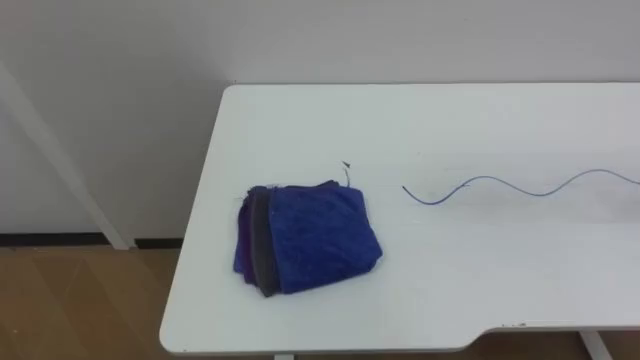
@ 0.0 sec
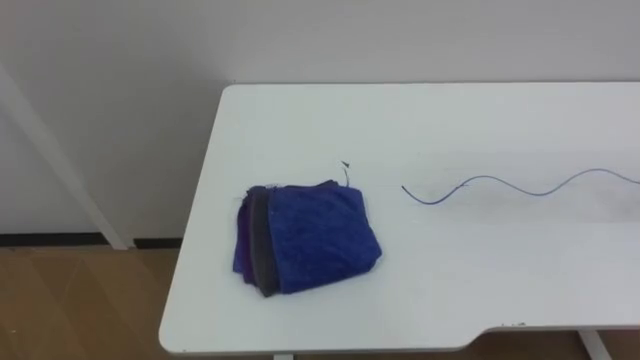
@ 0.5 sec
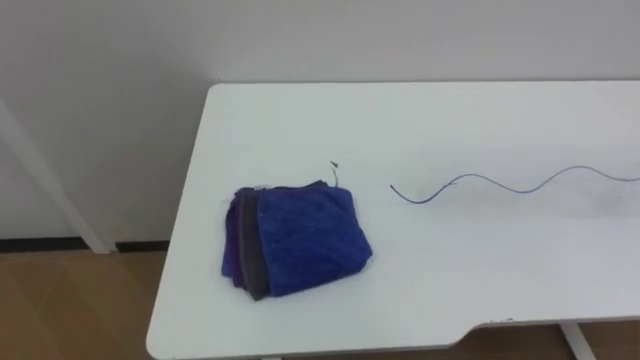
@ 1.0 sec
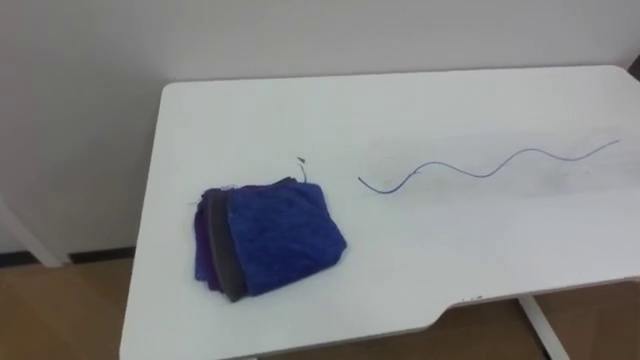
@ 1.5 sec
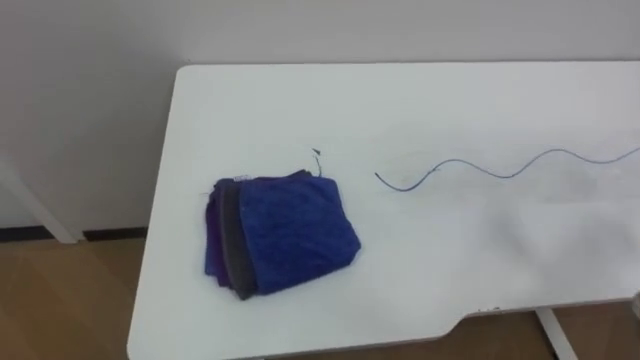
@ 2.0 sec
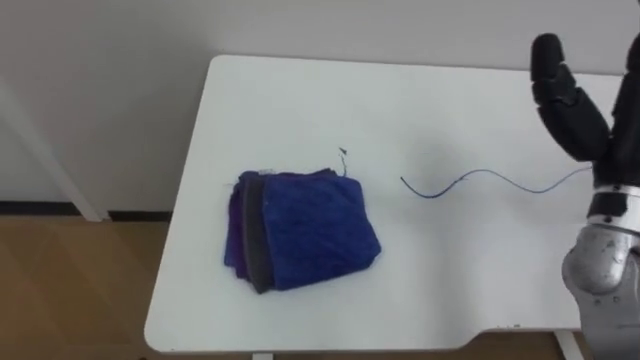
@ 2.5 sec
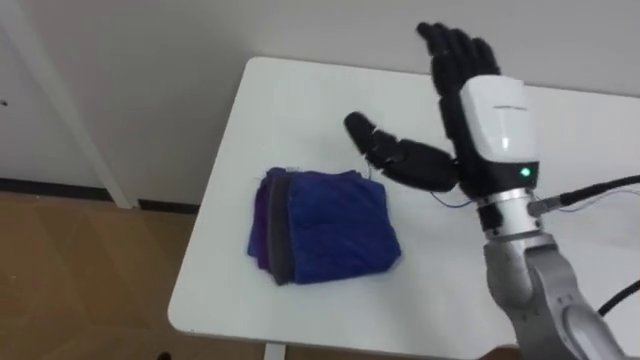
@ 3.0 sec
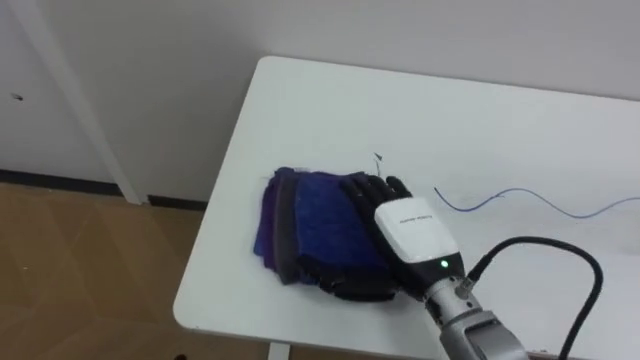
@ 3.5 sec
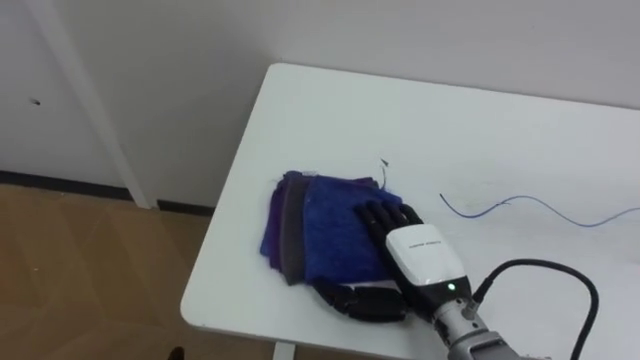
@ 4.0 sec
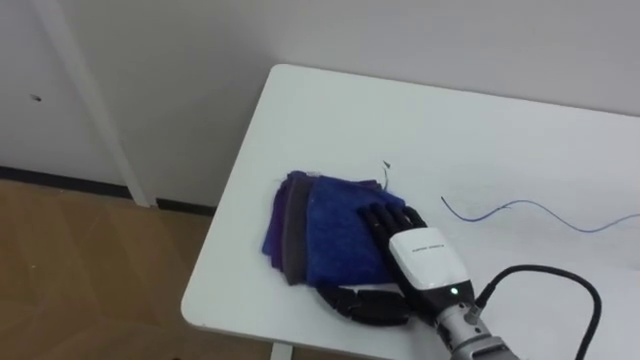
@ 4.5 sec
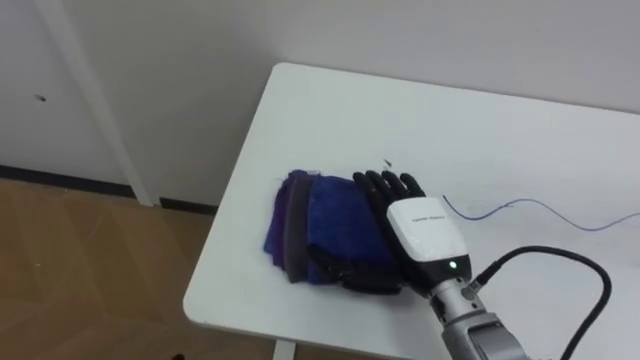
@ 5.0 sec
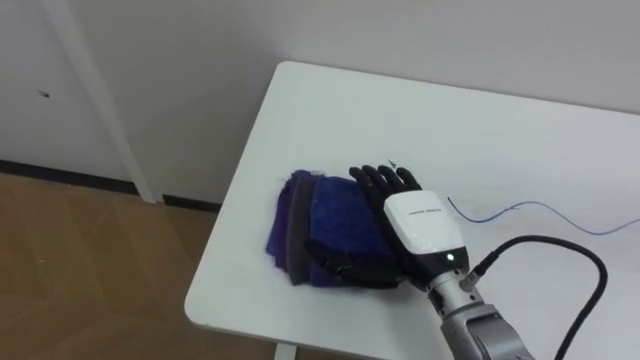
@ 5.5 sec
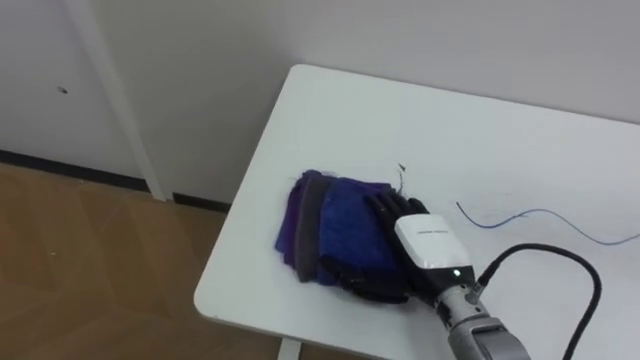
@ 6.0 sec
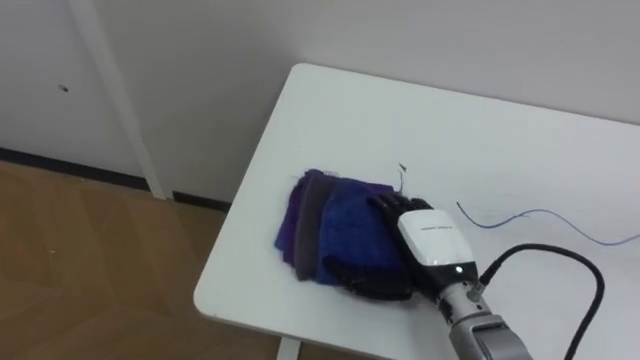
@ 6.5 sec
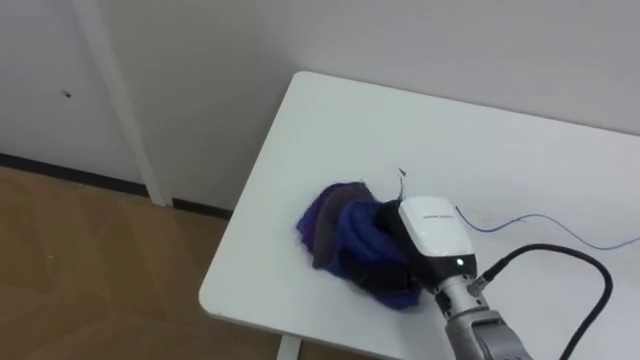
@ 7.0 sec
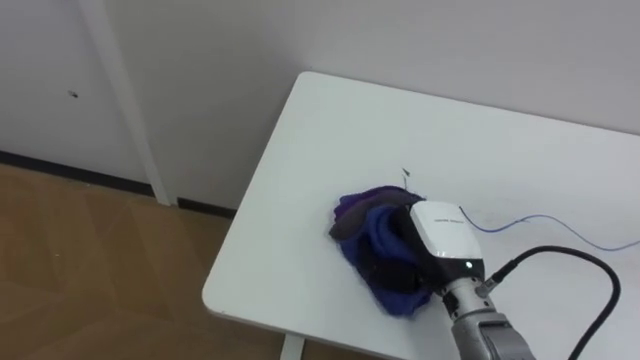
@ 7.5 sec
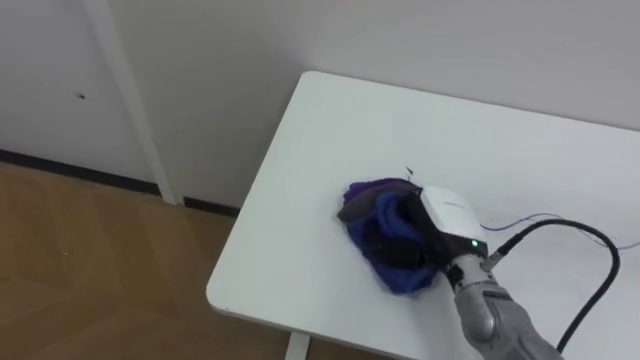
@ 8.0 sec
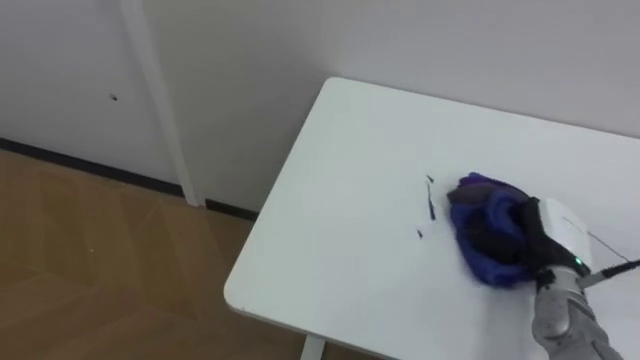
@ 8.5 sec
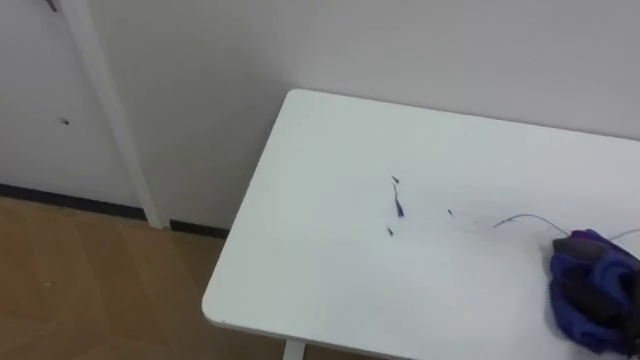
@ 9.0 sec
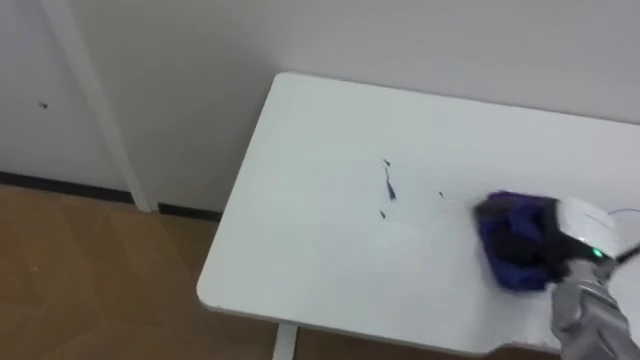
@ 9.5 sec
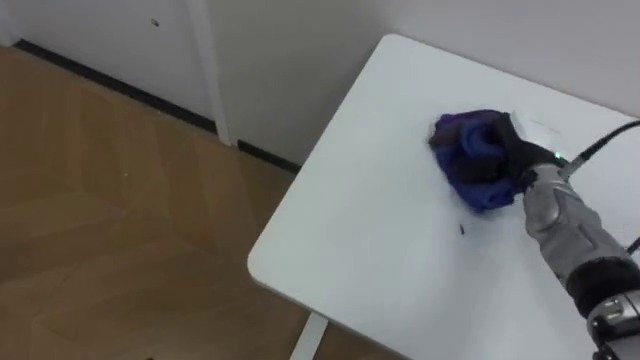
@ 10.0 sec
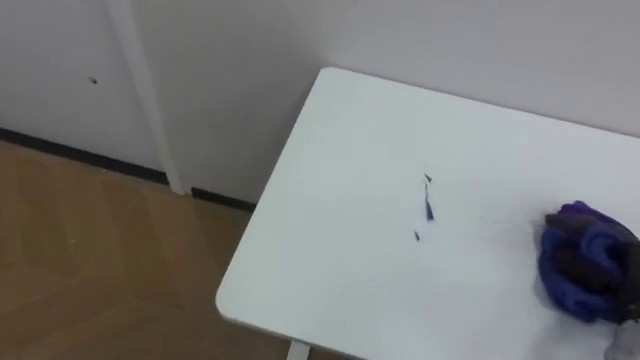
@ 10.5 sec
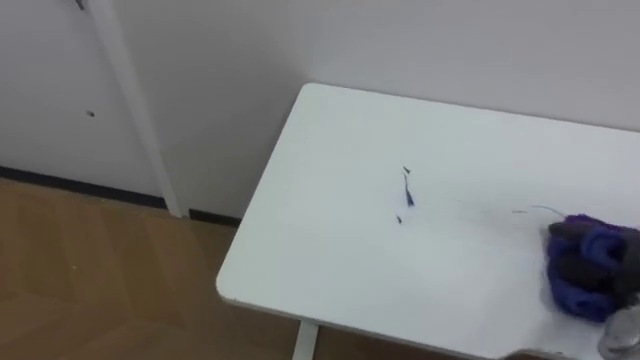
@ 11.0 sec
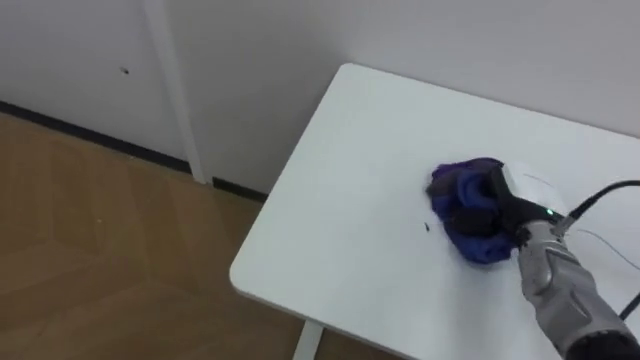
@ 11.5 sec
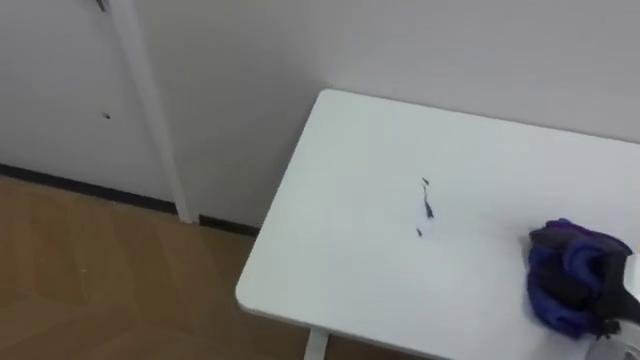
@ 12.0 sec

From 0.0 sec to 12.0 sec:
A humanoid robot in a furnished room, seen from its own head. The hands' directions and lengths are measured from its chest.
Task of the whole recording: Wipe the blue pen marks off the table with the rag.
From 6.0 sec to 8.0 sec: The right hand closes up.

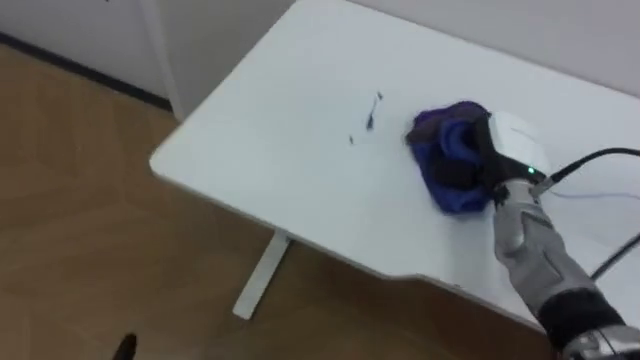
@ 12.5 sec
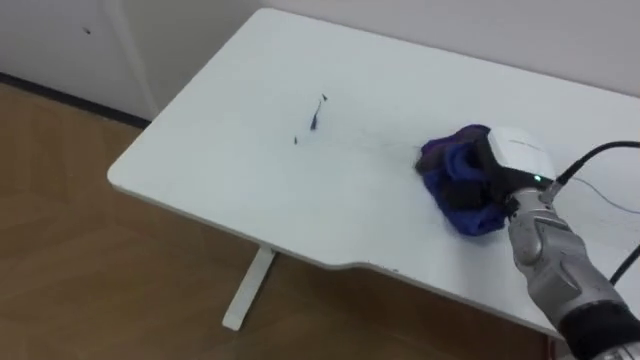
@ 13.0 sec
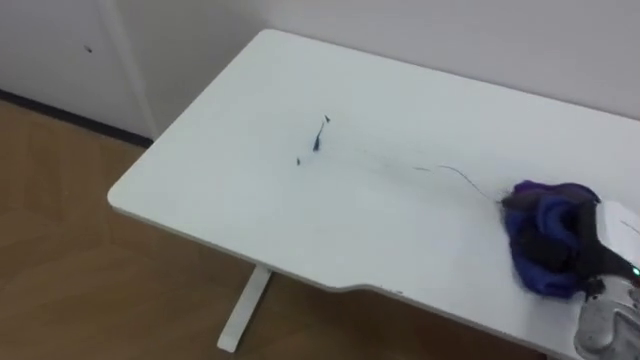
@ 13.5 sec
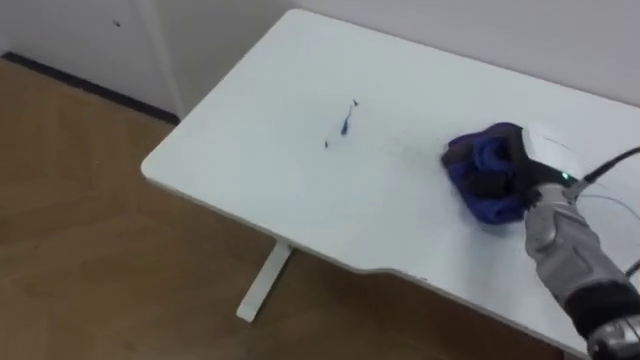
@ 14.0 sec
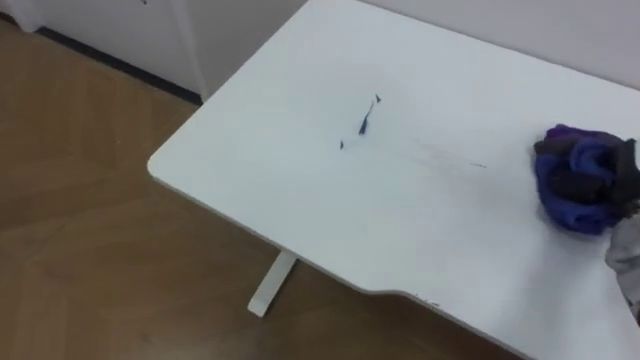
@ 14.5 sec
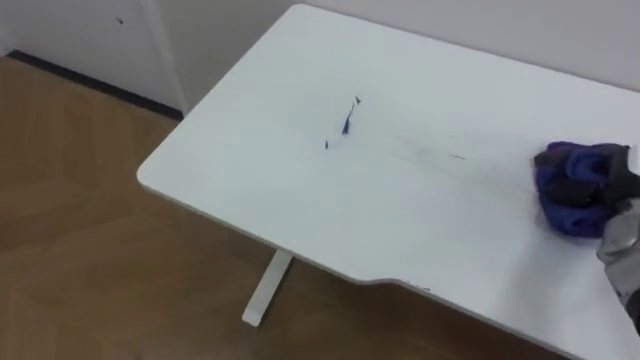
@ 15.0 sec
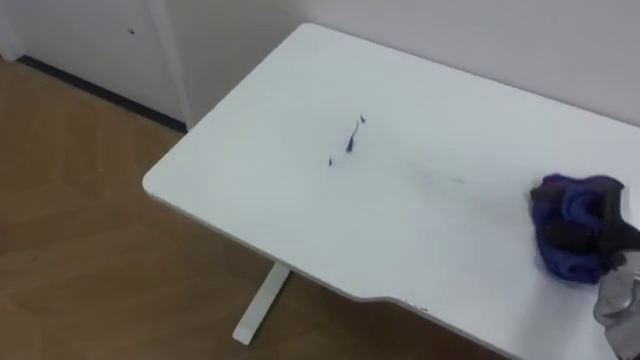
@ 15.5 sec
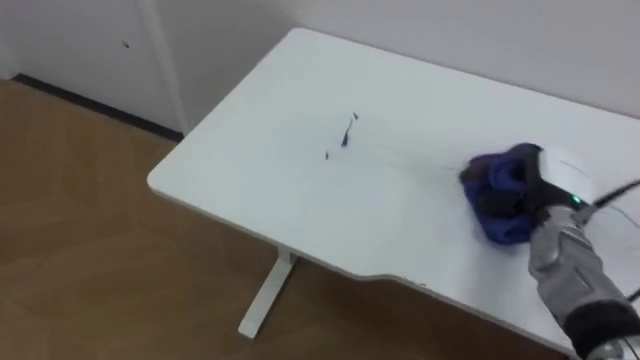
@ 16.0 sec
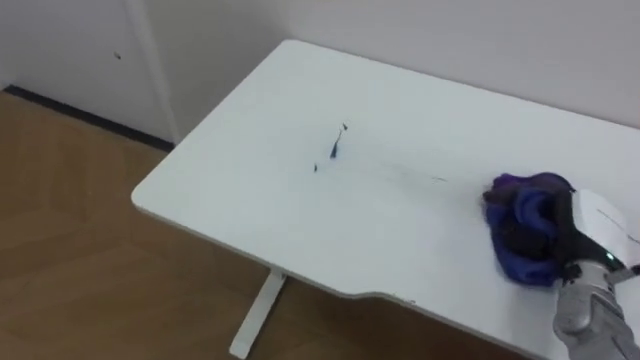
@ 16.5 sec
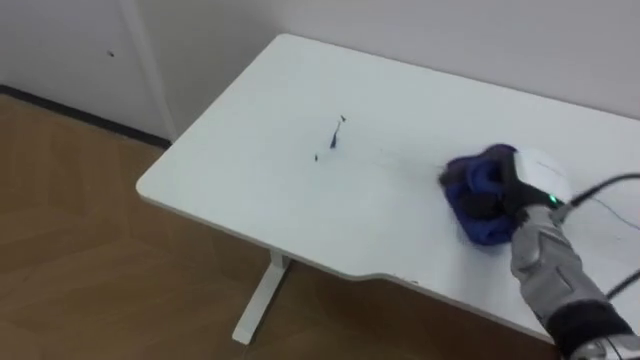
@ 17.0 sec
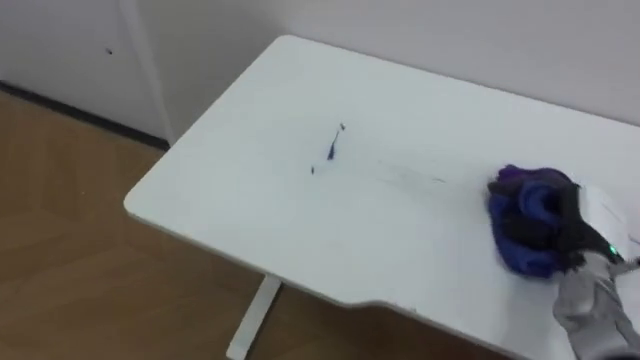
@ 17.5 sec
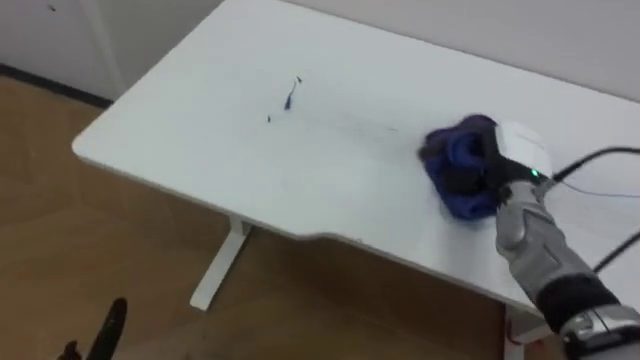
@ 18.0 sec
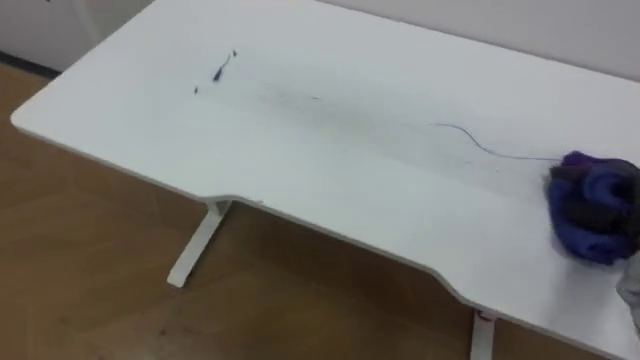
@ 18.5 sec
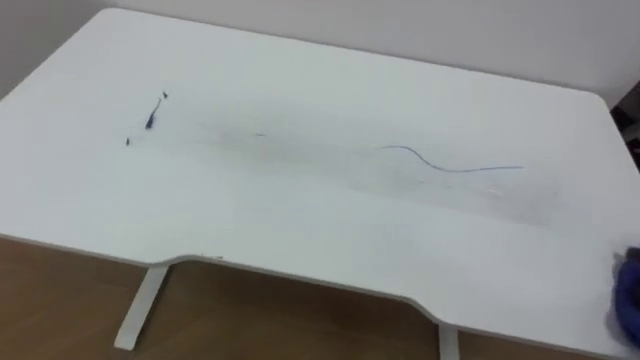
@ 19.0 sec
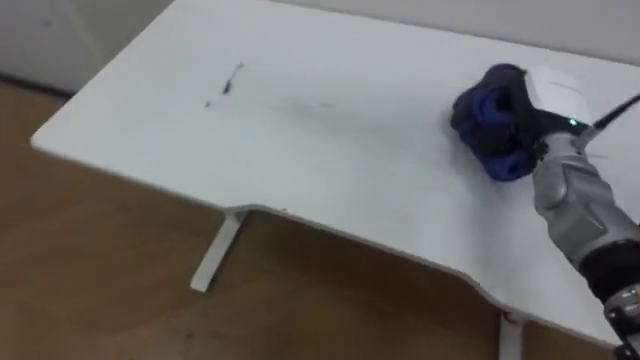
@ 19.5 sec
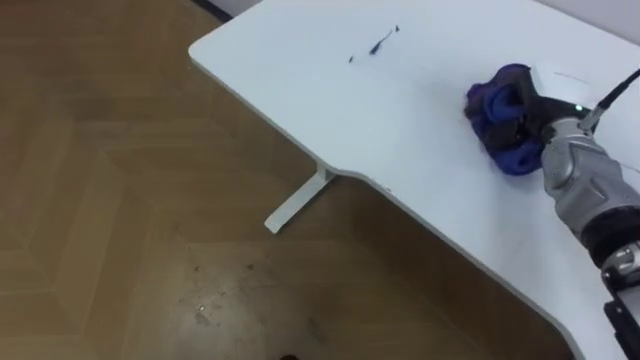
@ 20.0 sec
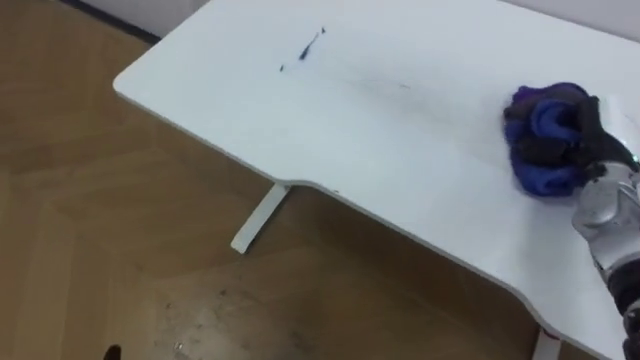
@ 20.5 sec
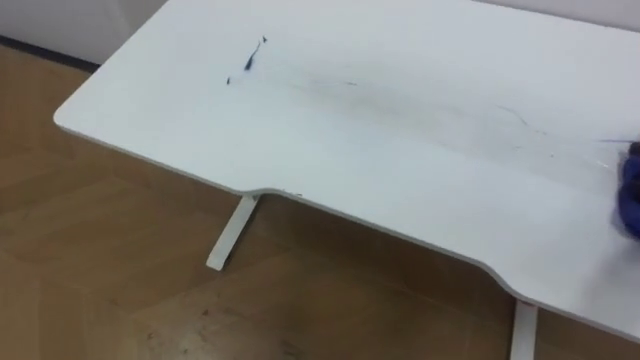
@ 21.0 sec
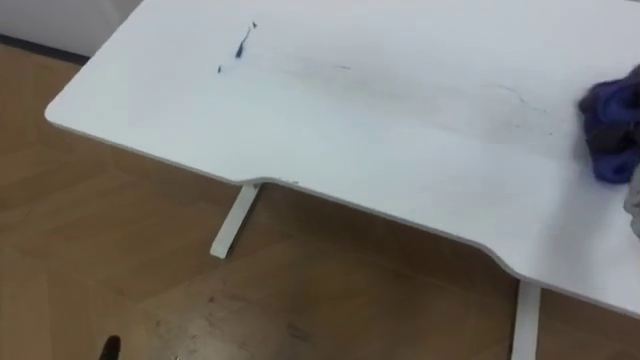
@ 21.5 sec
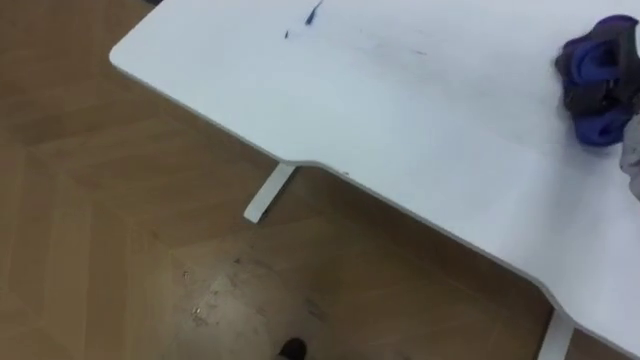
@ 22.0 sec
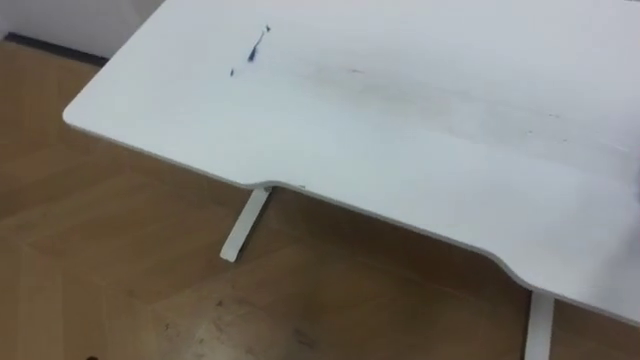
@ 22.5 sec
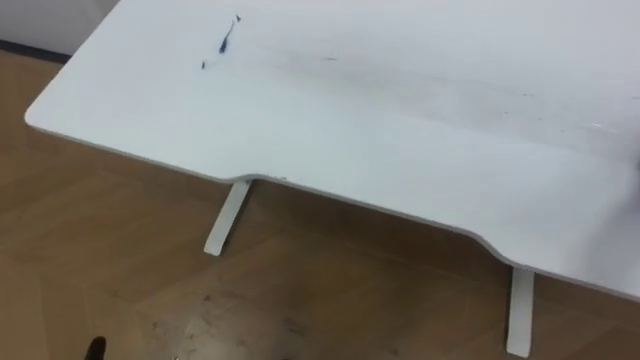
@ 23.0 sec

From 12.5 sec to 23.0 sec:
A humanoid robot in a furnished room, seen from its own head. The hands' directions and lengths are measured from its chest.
Task of the whole recording: Wipe the blue pen marks off the table with the rag.
From 12.5 sec to 14.5 sec: The right hand moves left and right over some 15 cm, changing direction 2 times.
